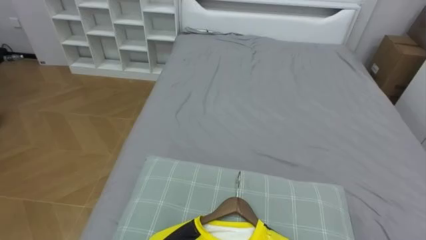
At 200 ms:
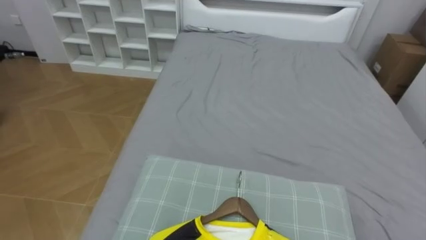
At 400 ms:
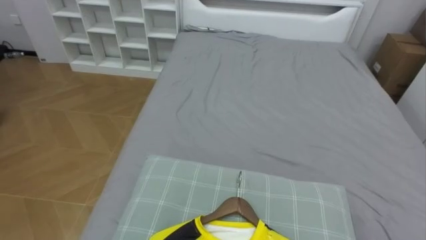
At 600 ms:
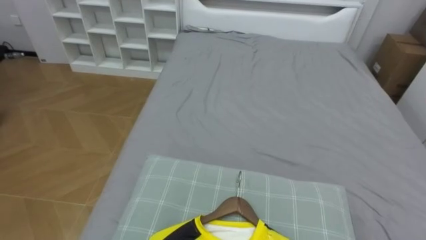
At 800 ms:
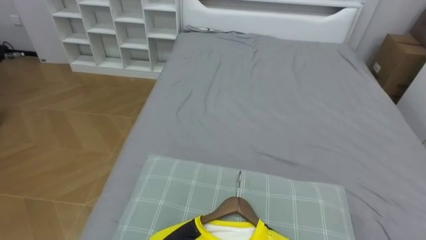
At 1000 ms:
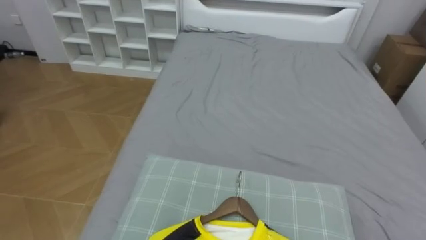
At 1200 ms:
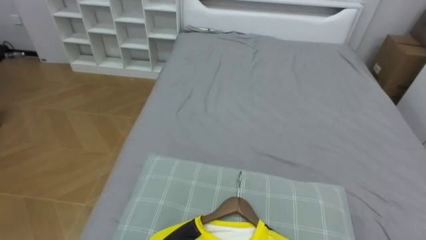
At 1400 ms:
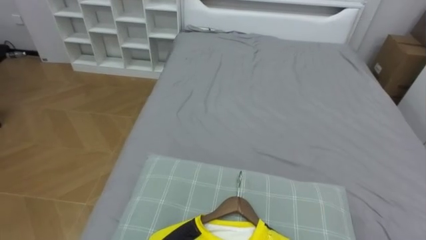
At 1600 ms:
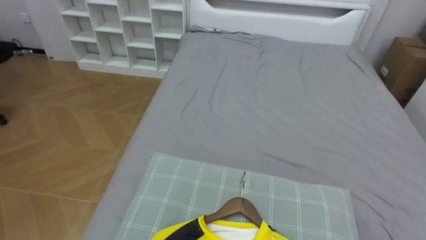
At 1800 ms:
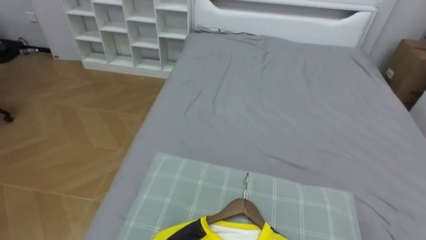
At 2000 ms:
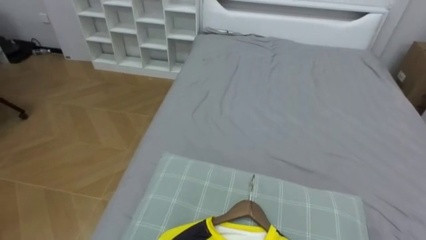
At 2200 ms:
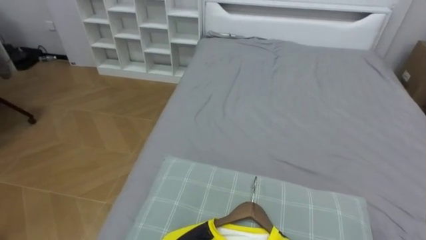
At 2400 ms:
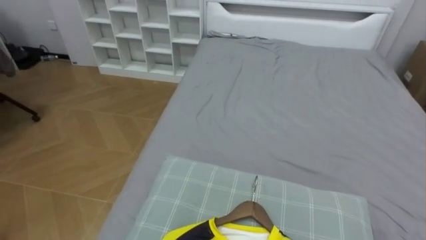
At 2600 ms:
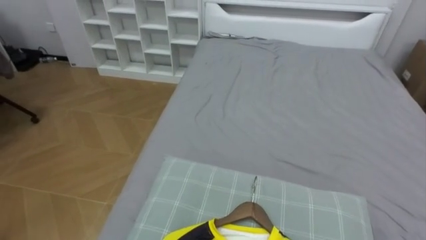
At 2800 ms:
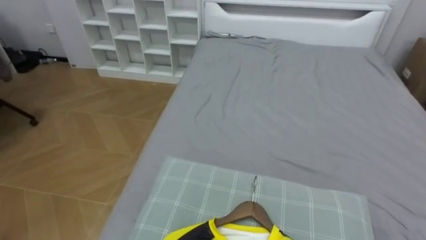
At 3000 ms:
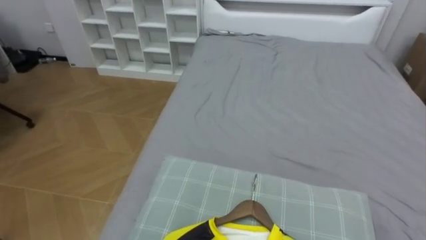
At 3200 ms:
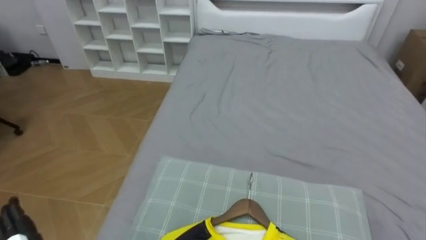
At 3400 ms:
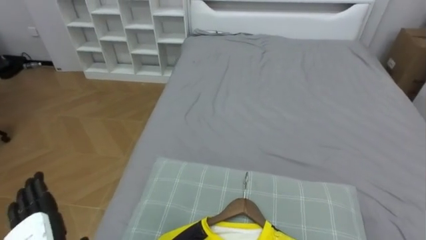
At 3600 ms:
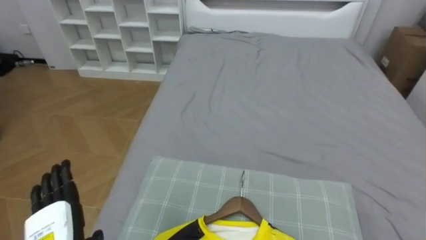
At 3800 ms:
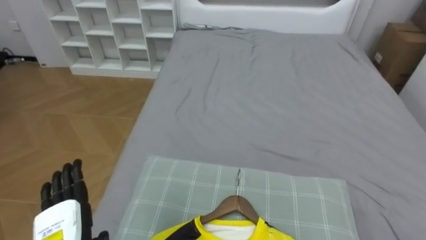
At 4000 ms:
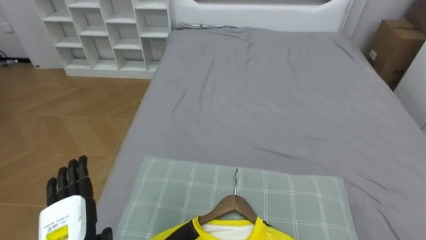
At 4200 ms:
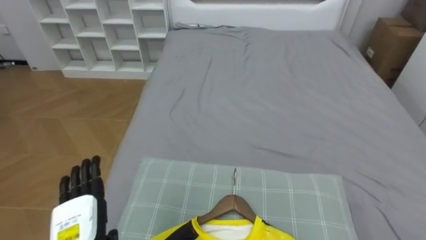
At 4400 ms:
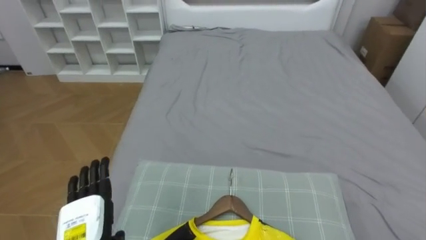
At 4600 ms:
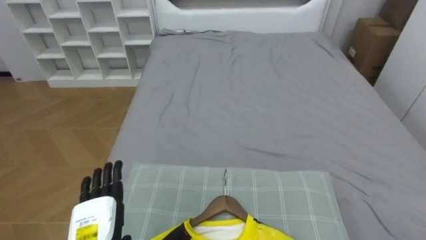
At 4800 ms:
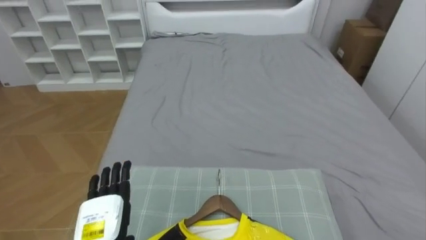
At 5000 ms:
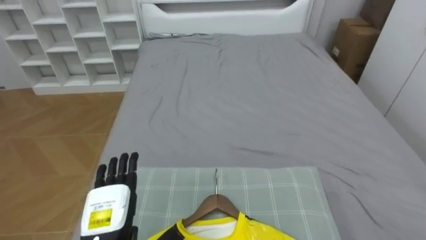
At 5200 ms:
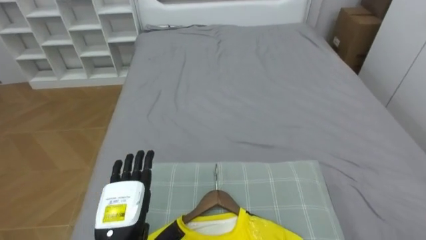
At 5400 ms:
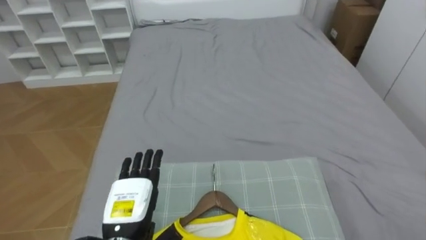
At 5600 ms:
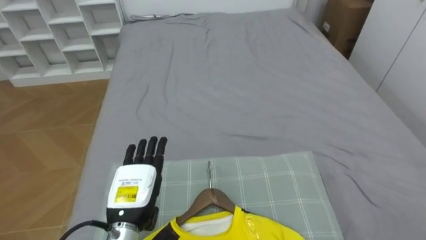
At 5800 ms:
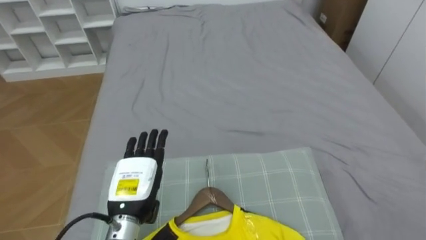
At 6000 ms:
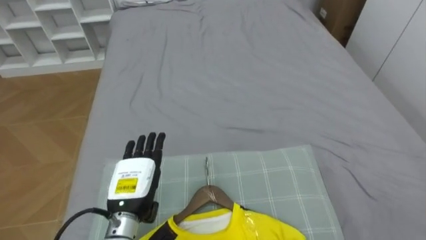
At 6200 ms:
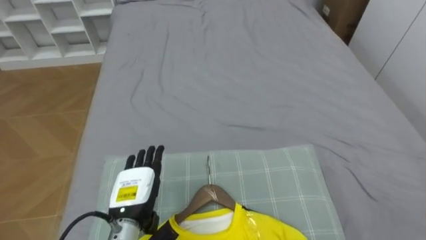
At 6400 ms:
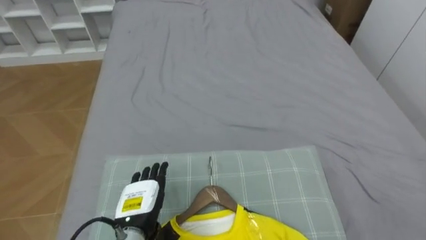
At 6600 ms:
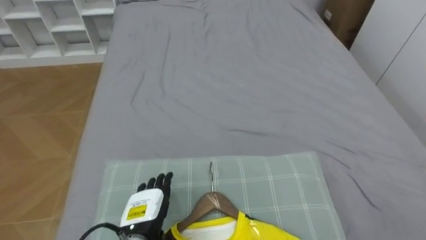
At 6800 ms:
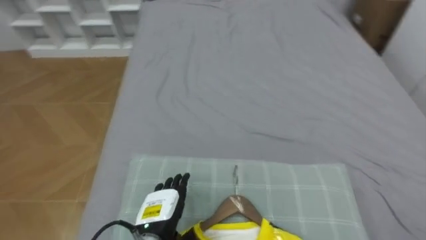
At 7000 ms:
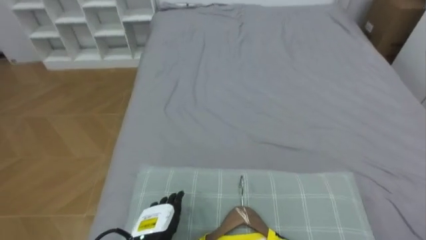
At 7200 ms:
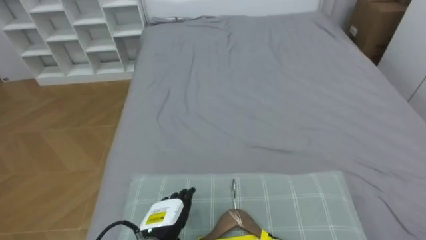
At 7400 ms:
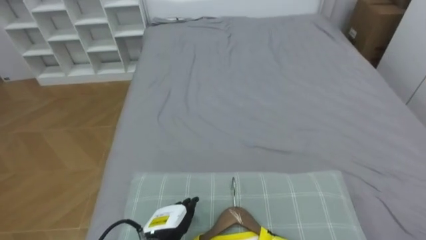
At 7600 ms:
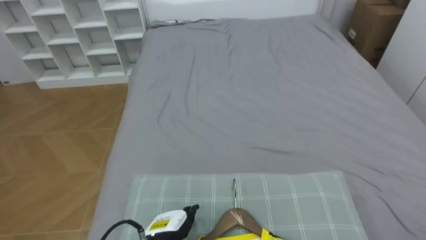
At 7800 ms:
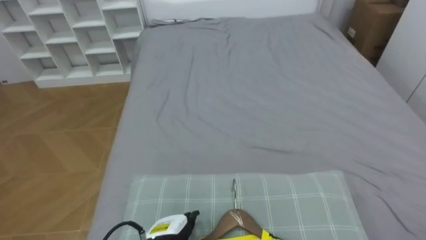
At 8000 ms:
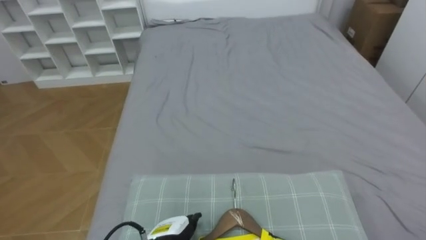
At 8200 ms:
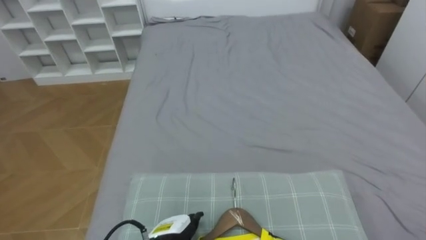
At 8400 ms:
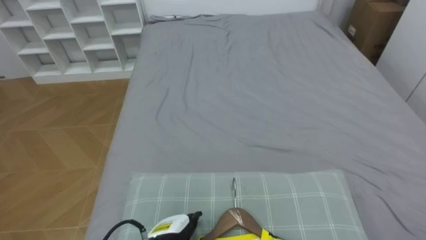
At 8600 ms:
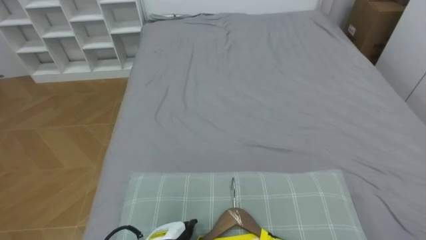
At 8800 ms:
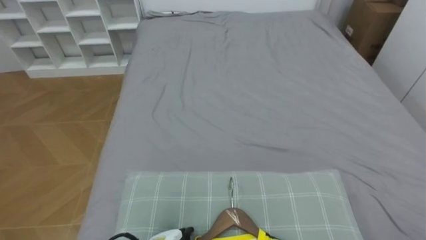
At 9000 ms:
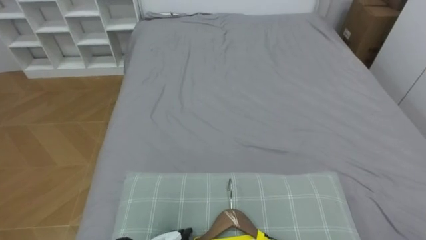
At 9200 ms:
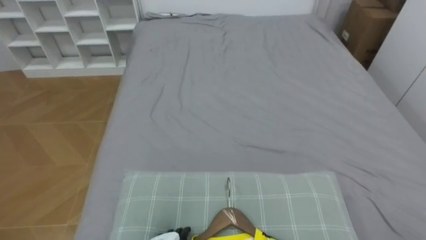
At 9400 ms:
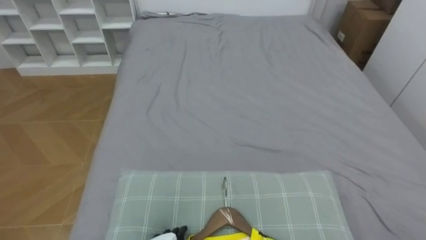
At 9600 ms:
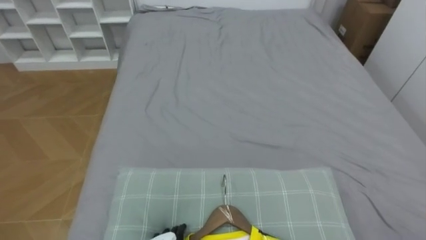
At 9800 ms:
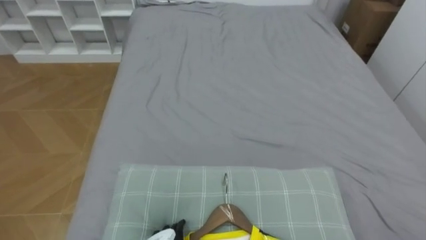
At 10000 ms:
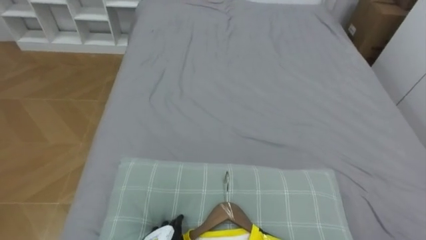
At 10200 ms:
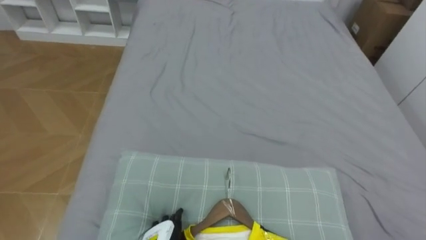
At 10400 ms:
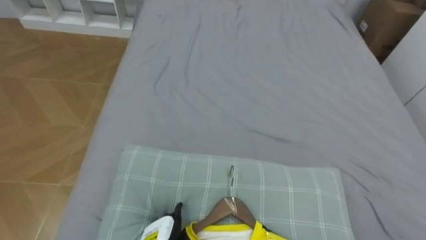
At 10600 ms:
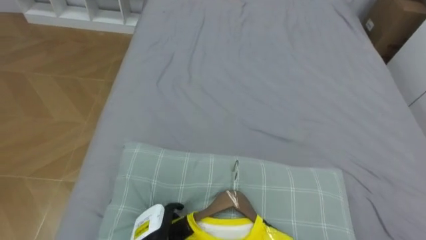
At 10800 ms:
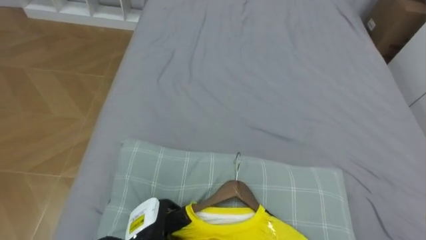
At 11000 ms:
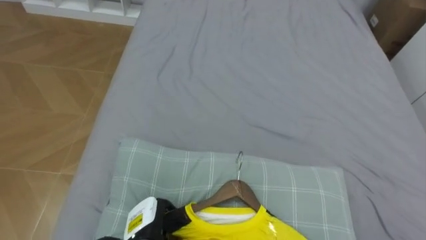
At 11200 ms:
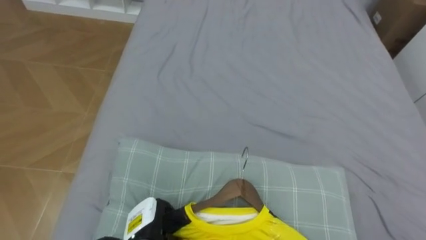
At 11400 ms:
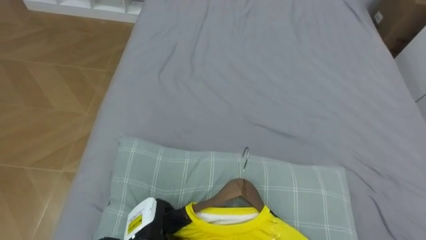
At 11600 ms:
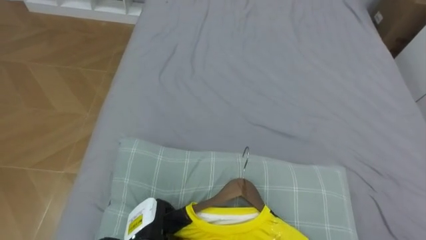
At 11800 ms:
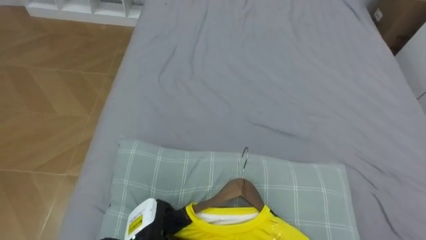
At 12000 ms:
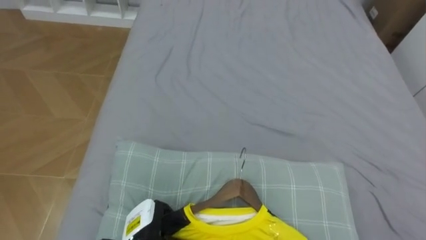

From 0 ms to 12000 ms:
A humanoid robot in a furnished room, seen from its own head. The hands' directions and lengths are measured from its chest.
Task of the whole recording: Pick up the yellow shirt on the bed and hang it on the clothes rack on the right.
From 4400 ms to 6000 ms: The left hand moves forward and to the right, approximately 10 cm.
From 6000 ms to 7600 ms: The left hand heads downward and to the right, covering approximately 10 cm.

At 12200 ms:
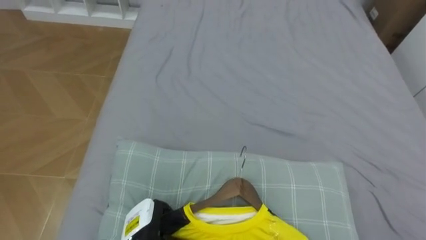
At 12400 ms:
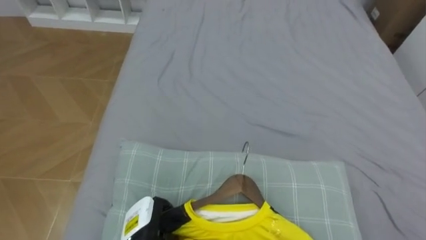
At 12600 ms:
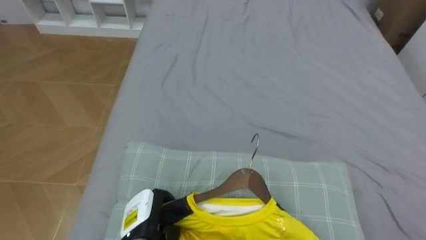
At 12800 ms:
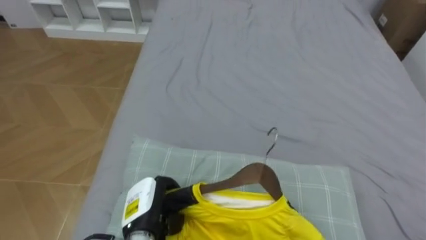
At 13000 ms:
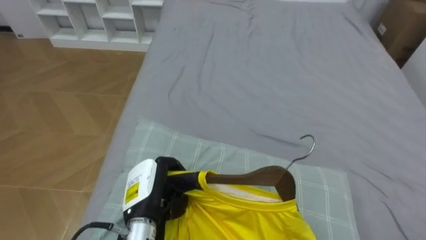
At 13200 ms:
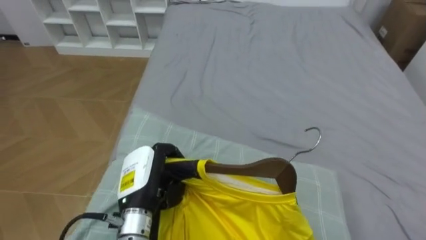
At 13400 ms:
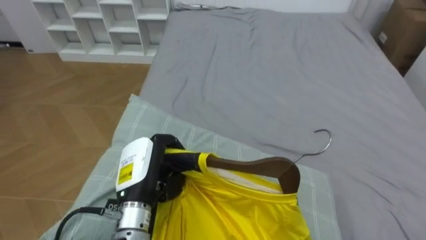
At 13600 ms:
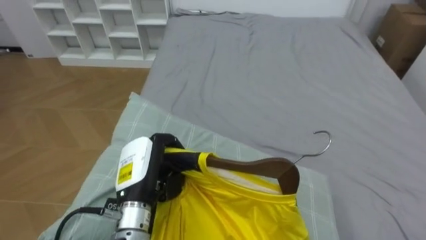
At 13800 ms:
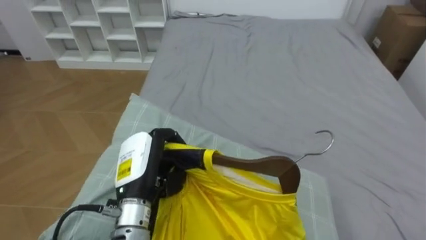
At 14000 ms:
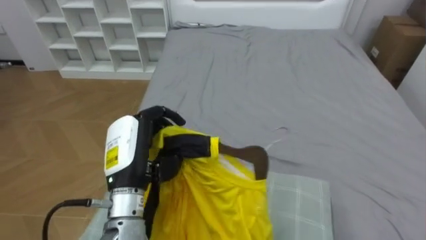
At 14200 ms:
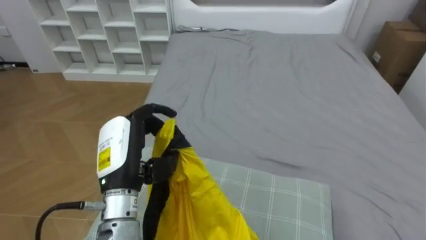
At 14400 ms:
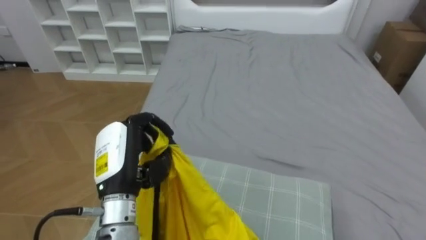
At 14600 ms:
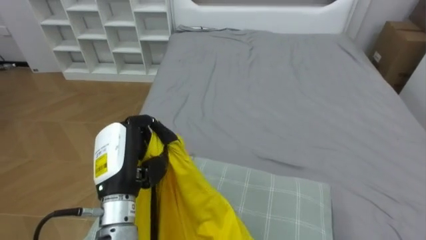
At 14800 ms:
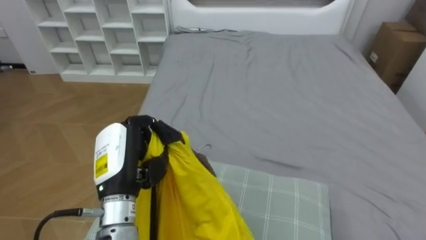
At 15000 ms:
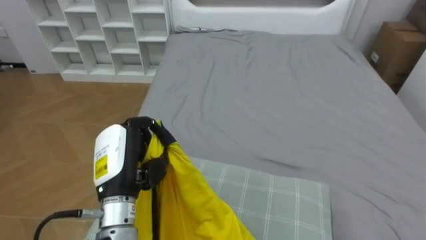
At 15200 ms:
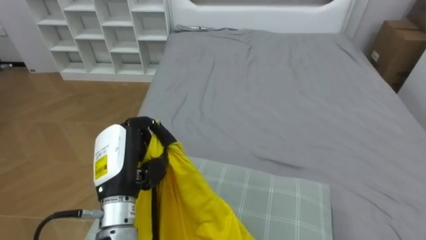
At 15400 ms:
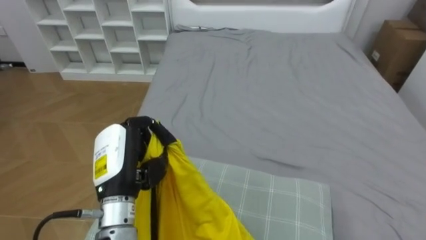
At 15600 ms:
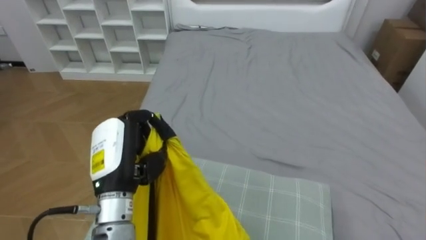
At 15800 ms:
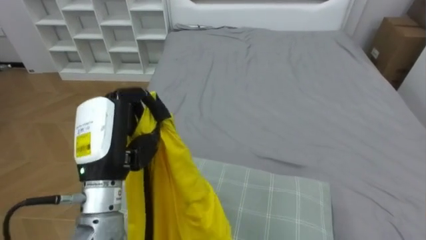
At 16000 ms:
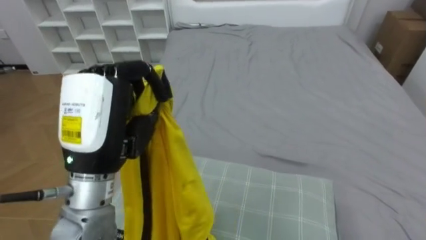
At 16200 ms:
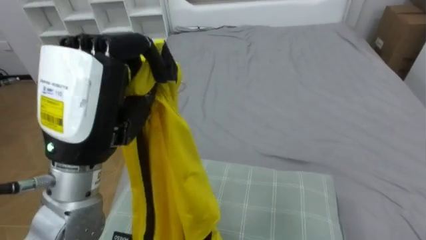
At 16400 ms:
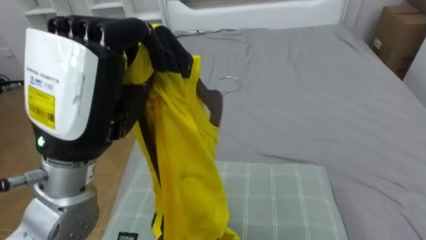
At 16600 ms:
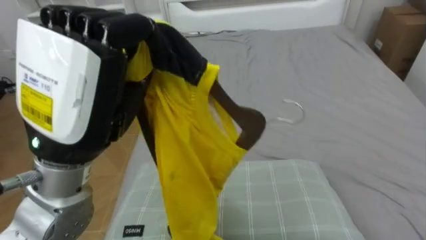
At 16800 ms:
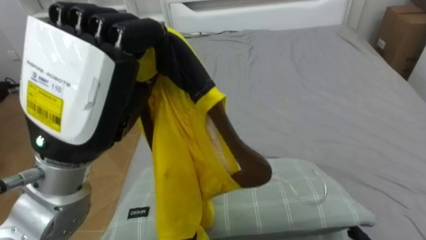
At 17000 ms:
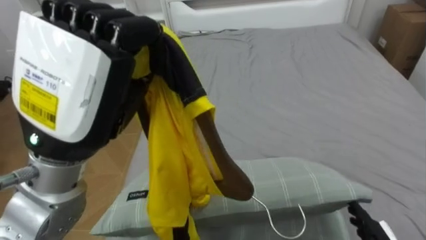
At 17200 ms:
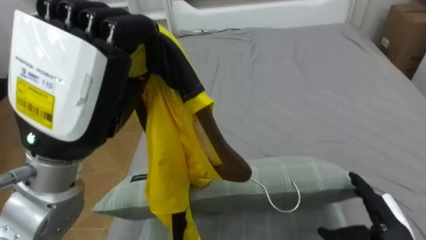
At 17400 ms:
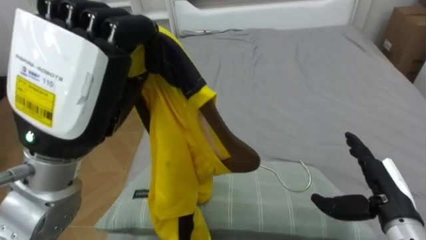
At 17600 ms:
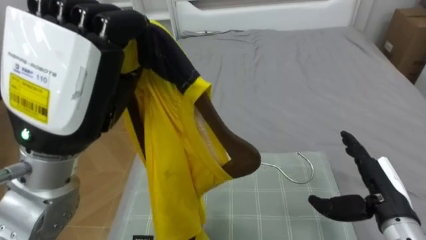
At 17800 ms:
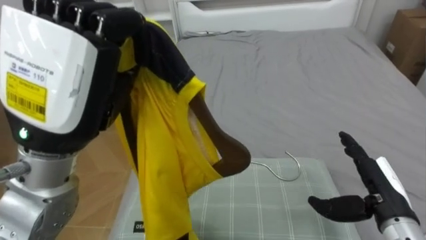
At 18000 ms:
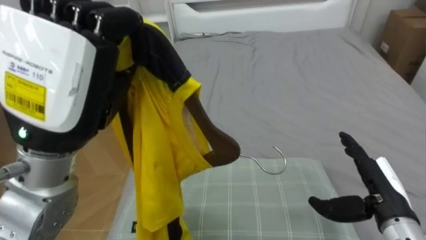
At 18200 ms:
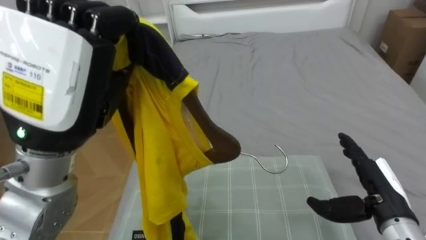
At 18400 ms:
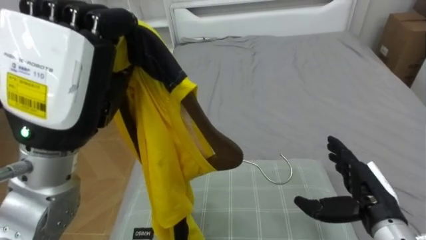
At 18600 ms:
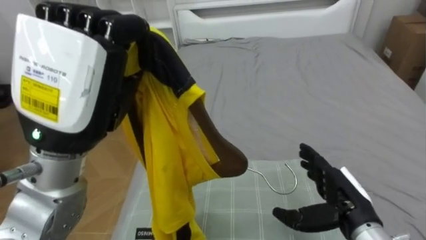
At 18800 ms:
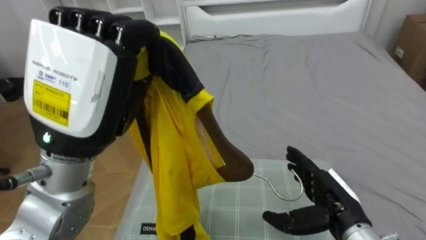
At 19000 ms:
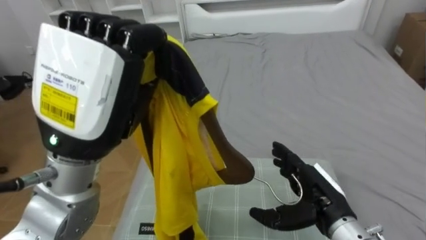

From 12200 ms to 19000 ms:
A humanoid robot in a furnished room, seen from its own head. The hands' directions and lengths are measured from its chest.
Task of the whole recording: Pick up the yellow shirt on the bed and hang it on the clothes rack on the right.
From 12200 ms to 13600 ms: The left hand moves upward, roughly 15 cm.
From 15000 ms to 16200 ms: The left hand moves upward, roughly 15 cm.
From 17600 ms to 19000 ms: The right hand goes about 10 cm to the left.
